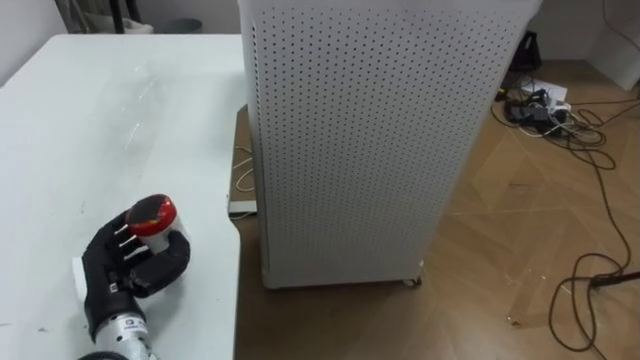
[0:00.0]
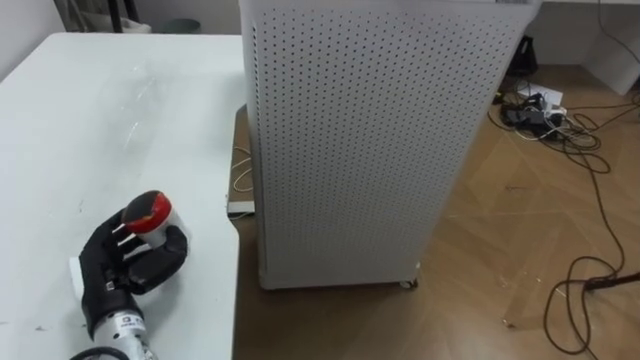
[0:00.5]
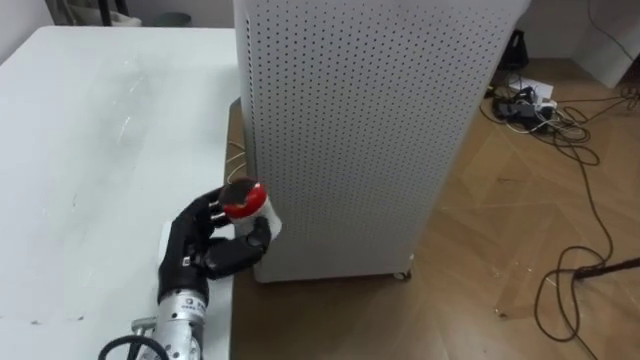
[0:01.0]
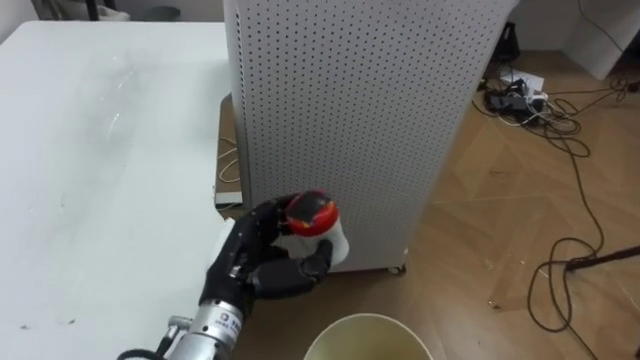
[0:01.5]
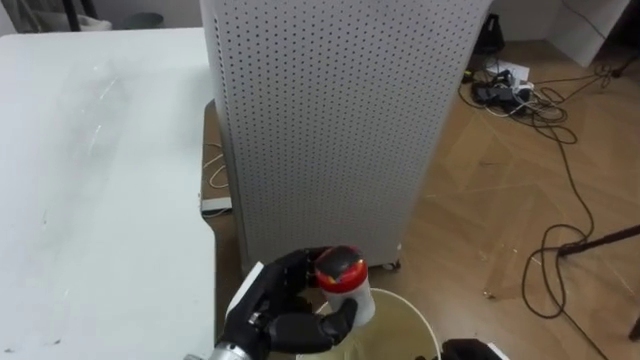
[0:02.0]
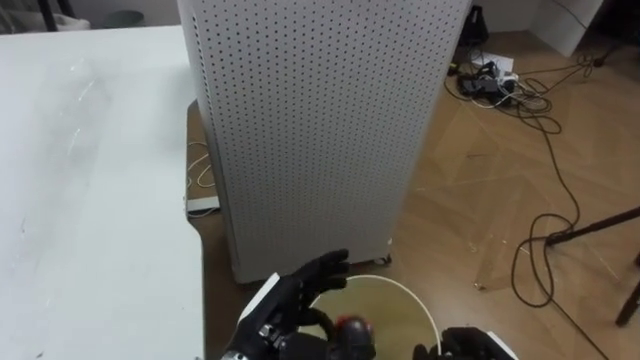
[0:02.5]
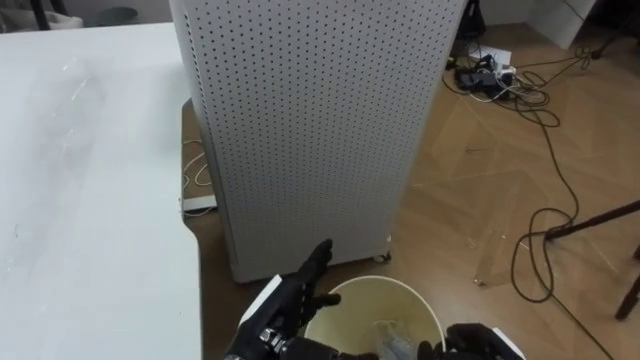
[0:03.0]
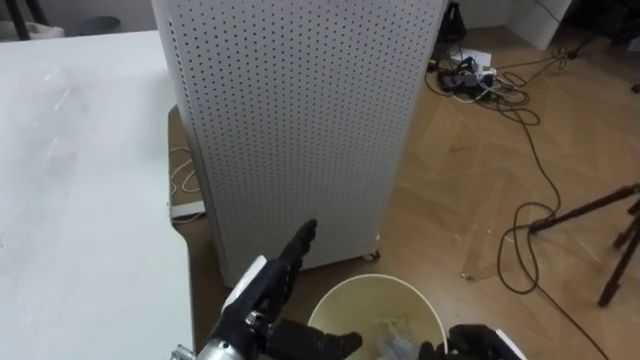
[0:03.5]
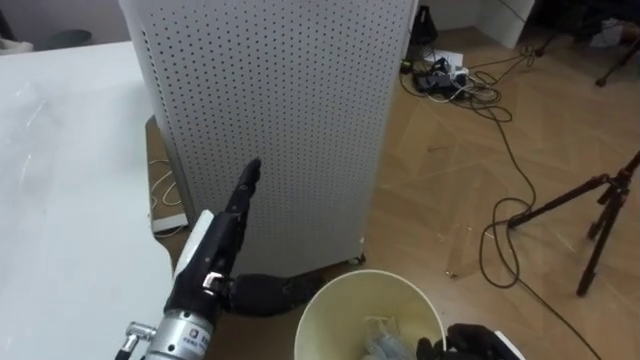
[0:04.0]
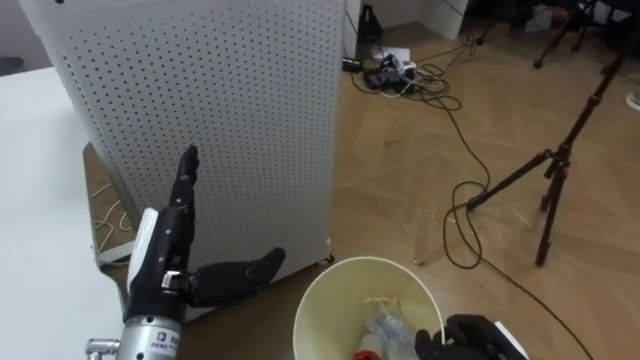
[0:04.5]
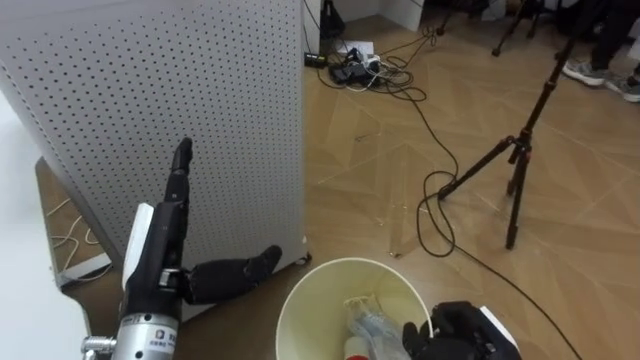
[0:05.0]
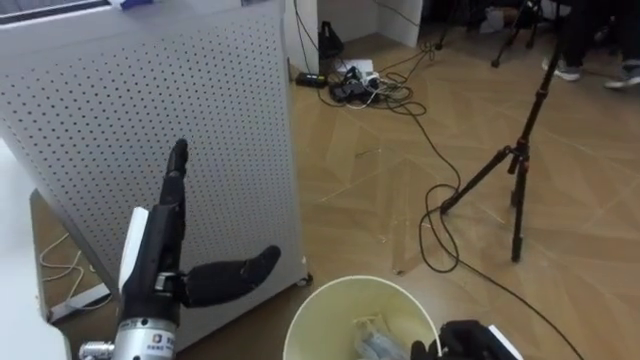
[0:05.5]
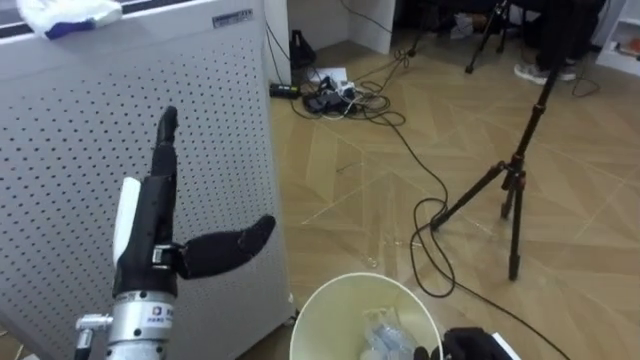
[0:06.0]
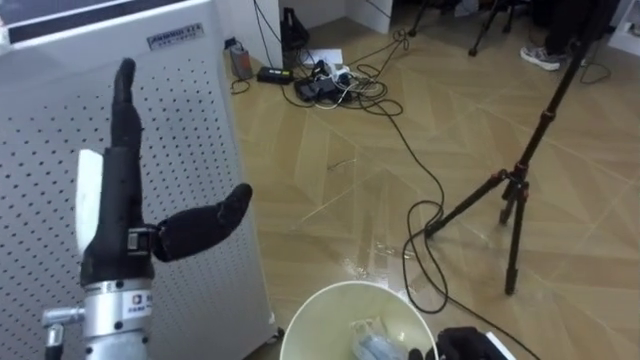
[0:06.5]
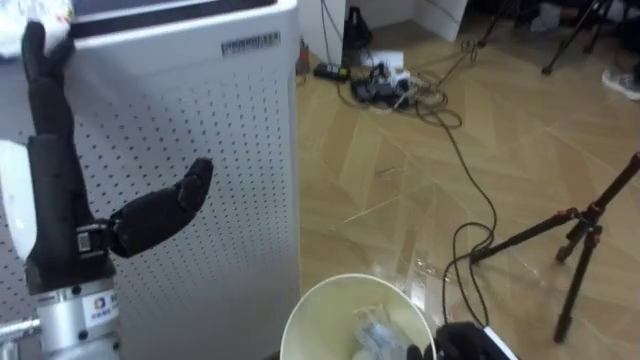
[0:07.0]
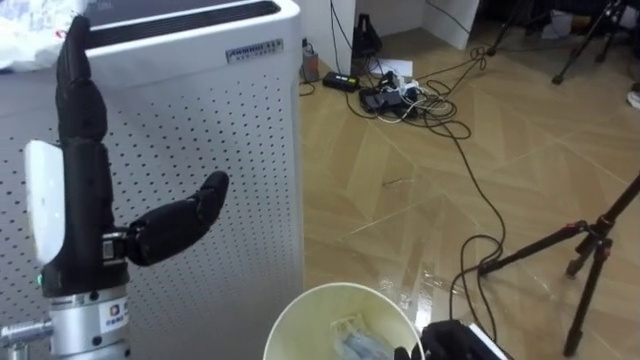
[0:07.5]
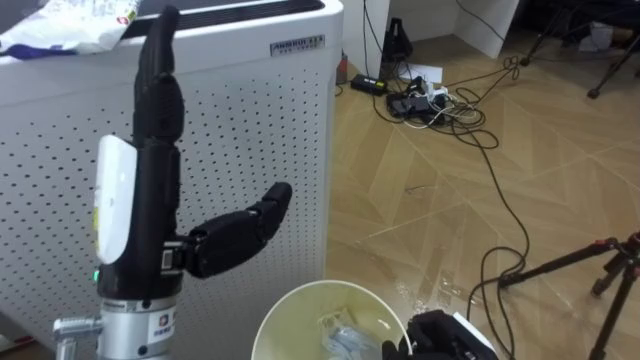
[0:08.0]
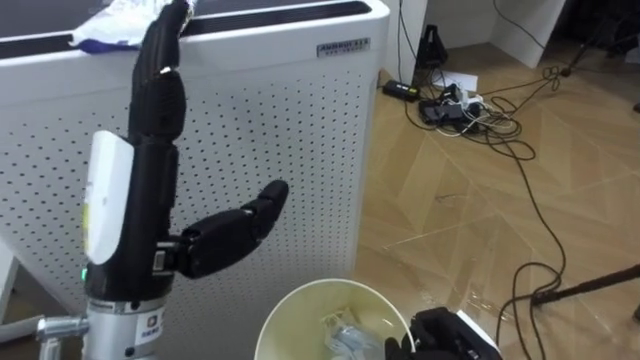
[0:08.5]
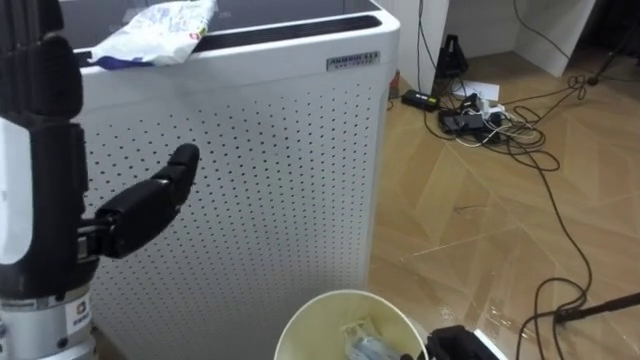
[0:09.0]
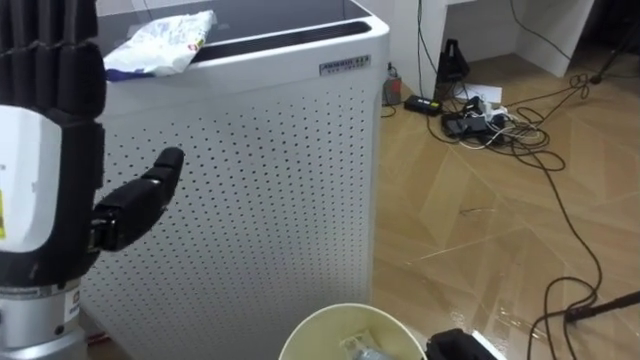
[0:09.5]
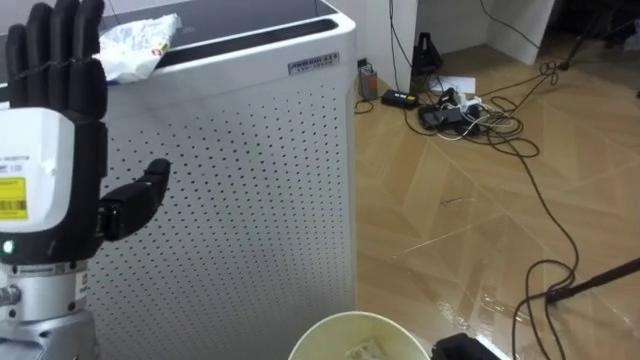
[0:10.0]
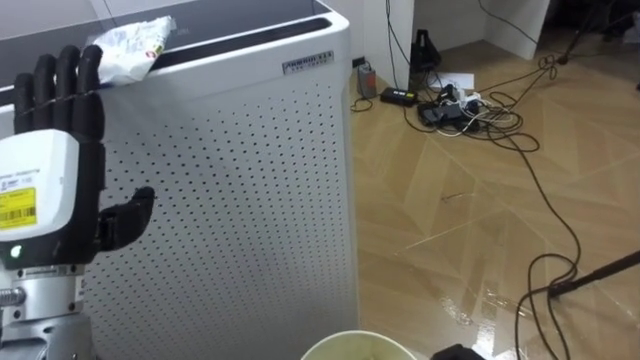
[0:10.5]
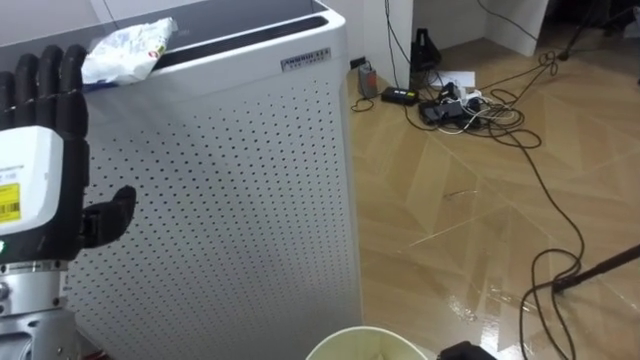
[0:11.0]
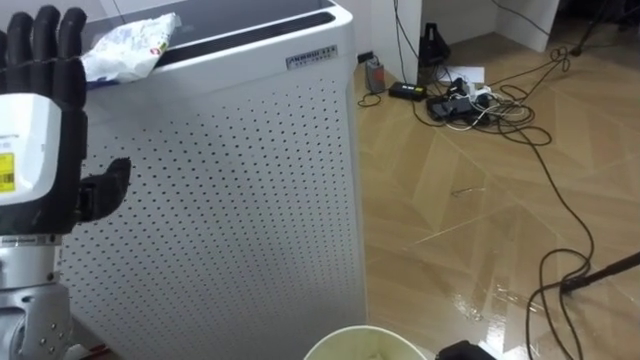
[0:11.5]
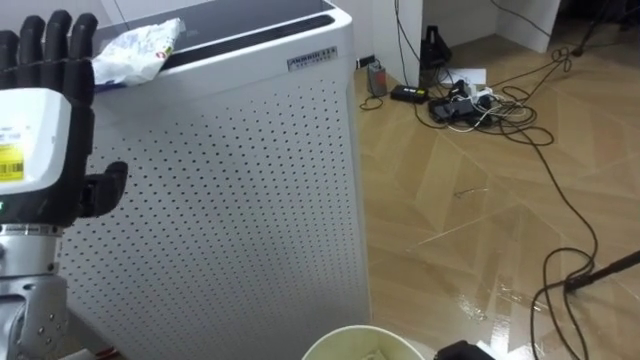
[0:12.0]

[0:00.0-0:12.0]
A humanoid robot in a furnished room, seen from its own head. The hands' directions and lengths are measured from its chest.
Task of the whole recording: Pick up the light blue package, the candy box, and the dark blue package separately, and put them into the trash can held in your right hand.
0:00.0 to 0:02.0: The left hand is displaced to the right by approximately 20 cm.
0:02.0 to 0:04.0: The left hand travels upward by roughly 5 cm, and opens up.
0:04.0 to 0:06.0: The robot turns to its right by approximately 25 degrees. The left hand shifts approximately 5 cm to the left.
0:06.0 to 0:08.0: The robot faces about 20 degrees further to its left. The left hand goes about 10 cm upward.
0:08.0 to 0:10.0: The left hand moves to the left, roughly 5 cm.

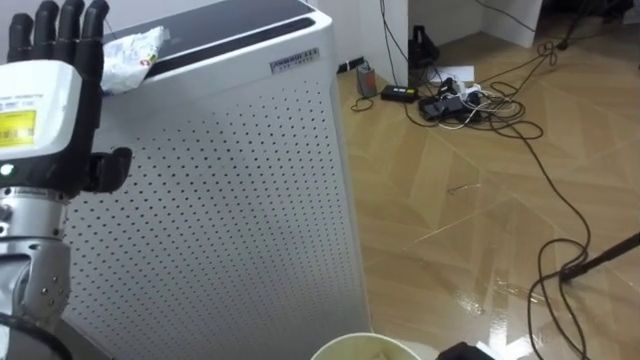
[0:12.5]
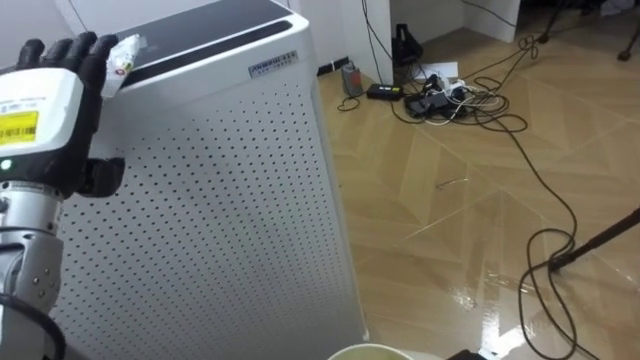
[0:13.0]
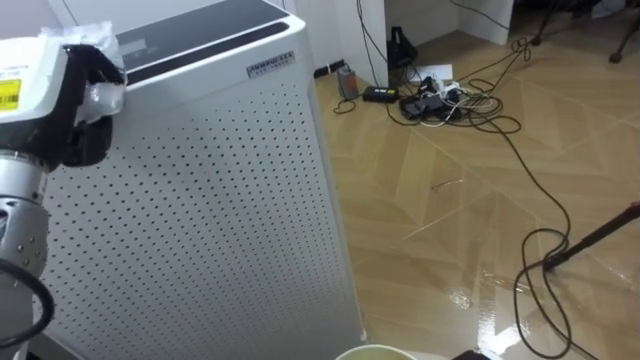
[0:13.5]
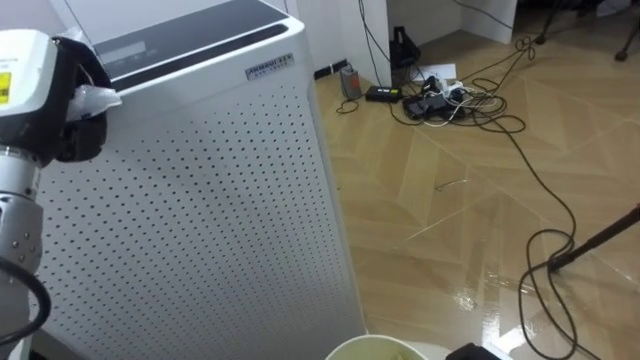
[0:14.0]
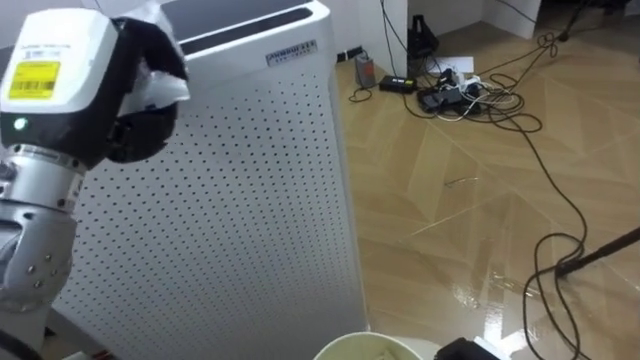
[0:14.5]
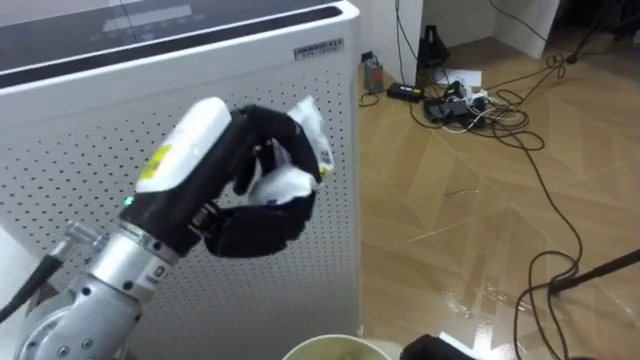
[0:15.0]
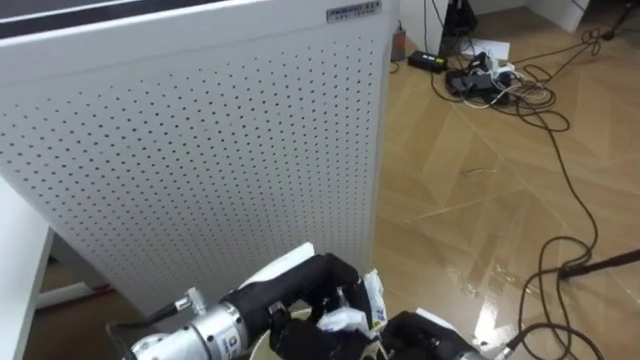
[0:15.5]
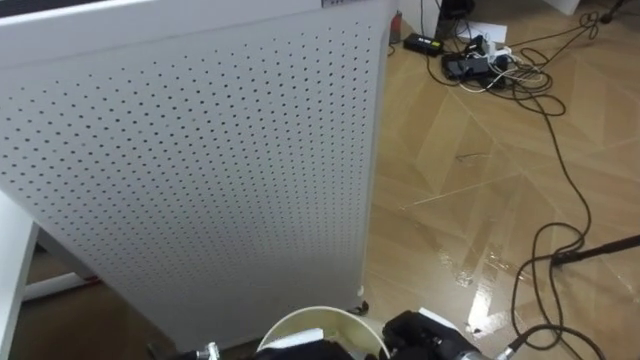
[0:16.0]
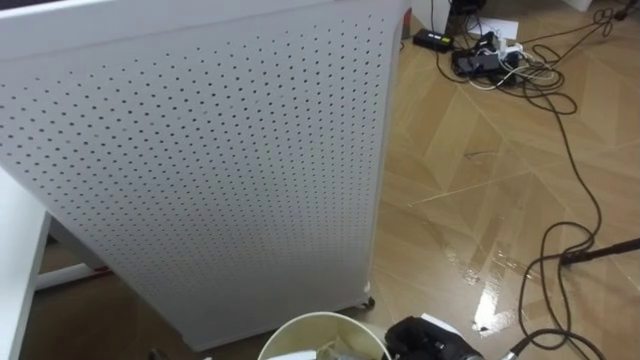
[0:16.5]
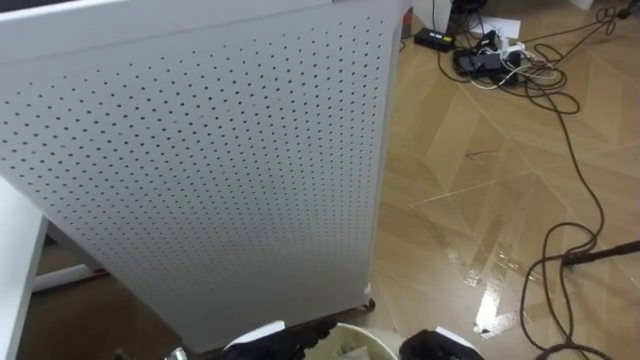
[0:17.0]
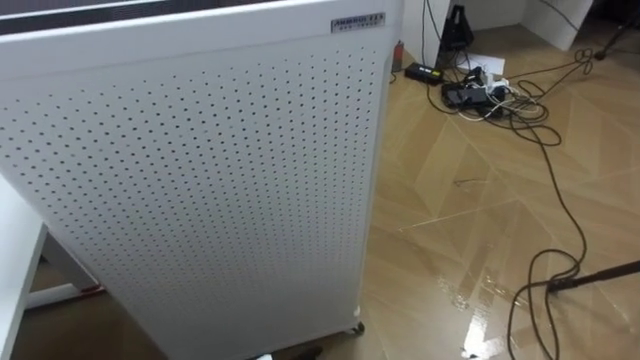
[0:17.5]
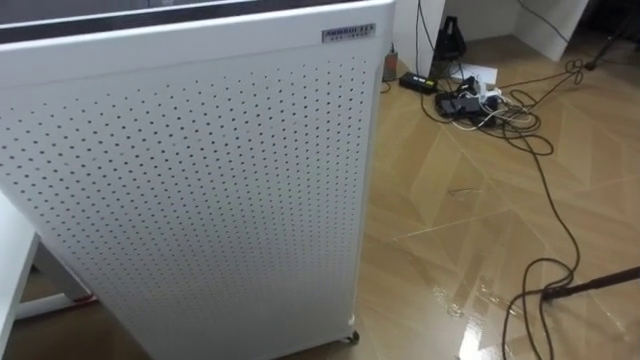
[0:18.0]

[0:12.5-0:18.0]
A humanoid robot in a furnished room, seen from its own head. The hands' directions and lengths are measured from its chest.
Task of the whole recording: Pick up the light blue package, the candy box, and the dark blue package separately, and put them into the trash can held in your right hand.
0:12.5 to 0:14.5: The left hand changes place by roughly 5 cm, and closes.
0:14.5 to 0:16.0: The left hand travels downward and to the right by roughly 35 cm.

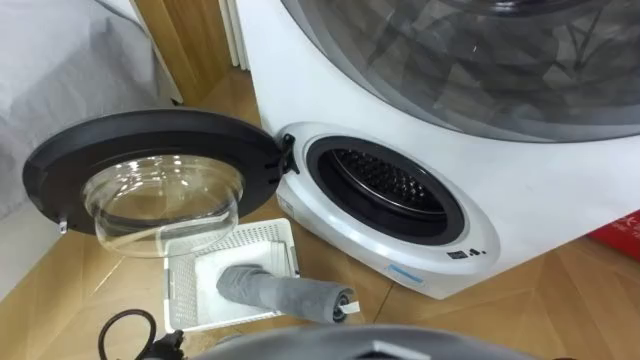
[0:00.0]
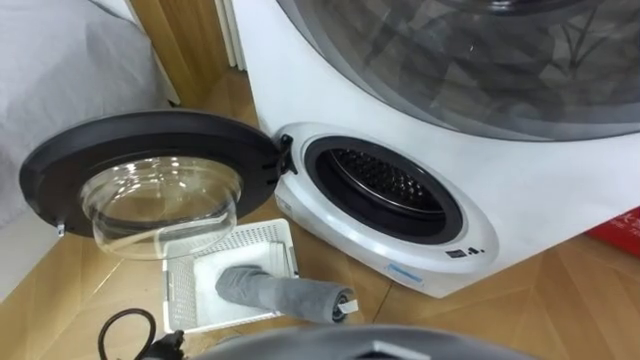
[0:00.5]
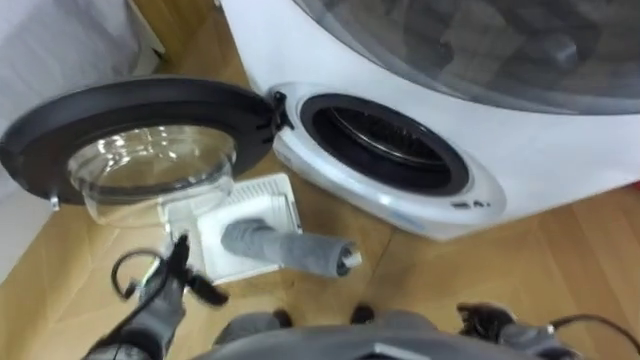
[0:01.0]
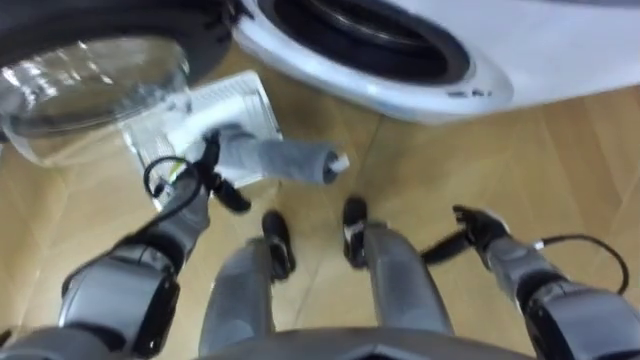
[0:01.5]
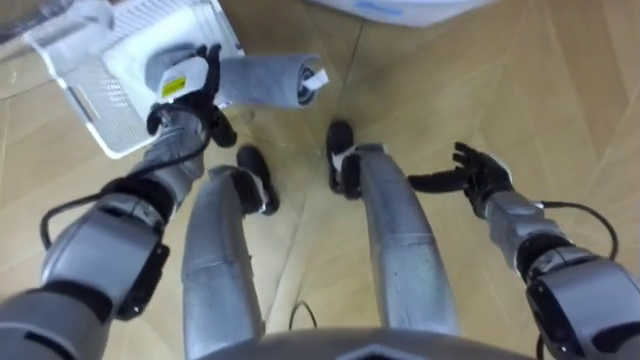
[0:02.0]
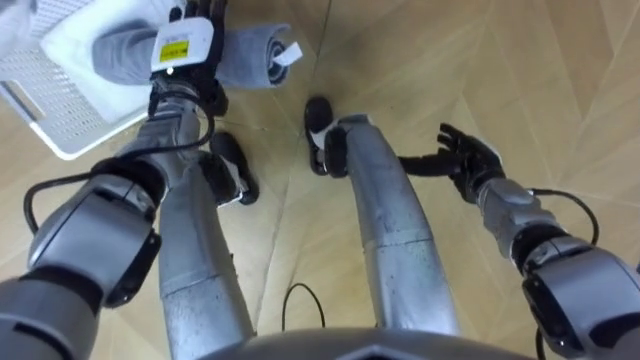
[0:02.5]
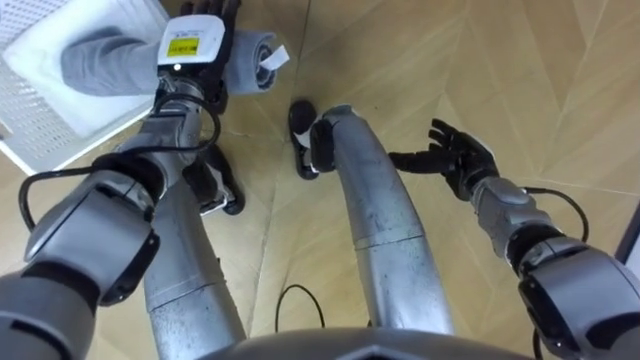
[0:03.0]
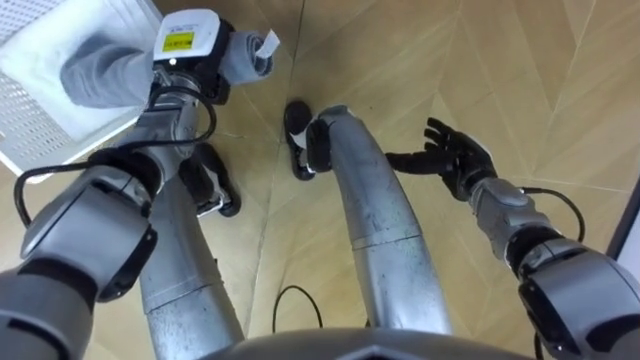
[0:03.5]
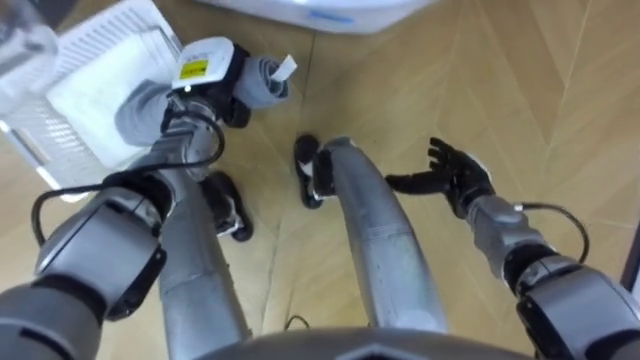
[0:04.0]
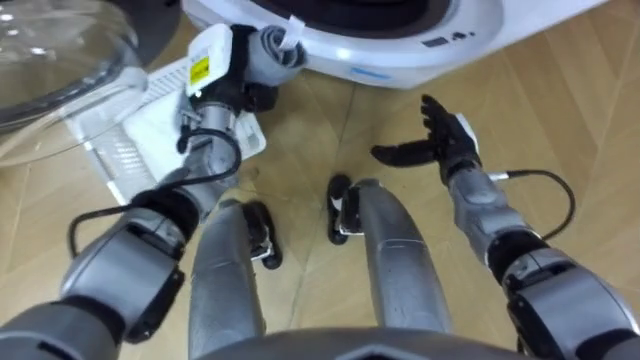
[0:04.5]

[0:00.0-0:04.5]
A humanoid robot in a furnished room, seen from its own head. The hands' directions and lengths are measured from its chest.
Task of the whole recording: Take the towel from the basket and put it into the washing machine.
0:02.0 to 0:04.5: The right hand shifts about 5 cm to the left; the left hand is displaced to the right by roughly 5 cm, and closes.
